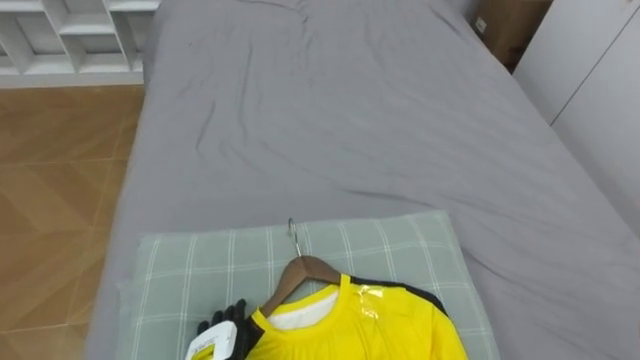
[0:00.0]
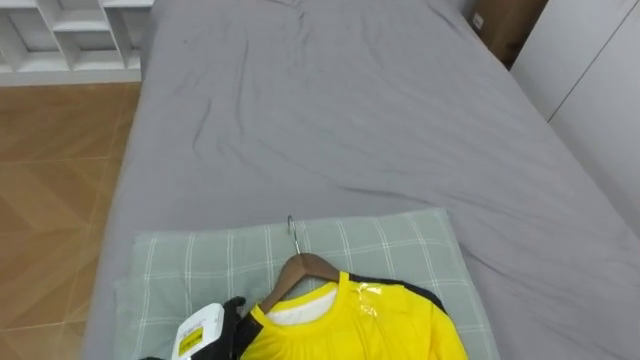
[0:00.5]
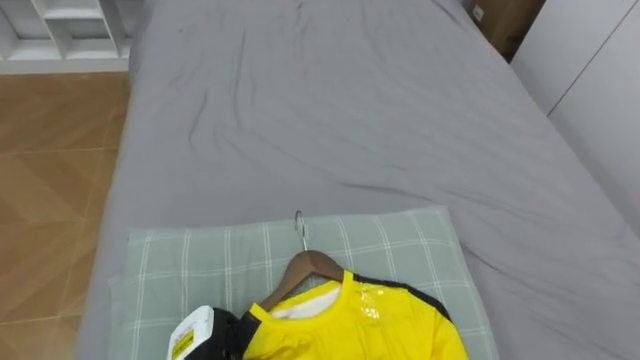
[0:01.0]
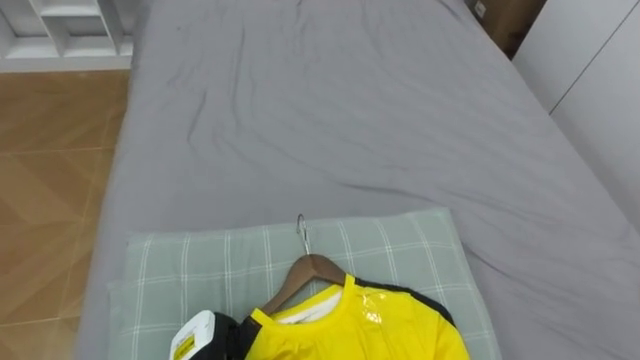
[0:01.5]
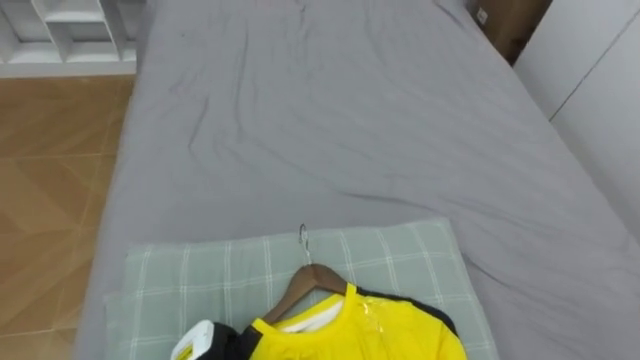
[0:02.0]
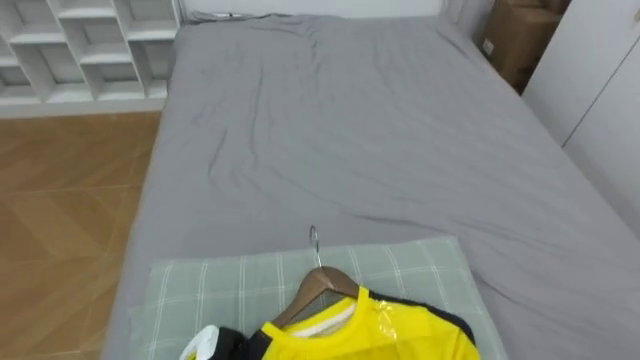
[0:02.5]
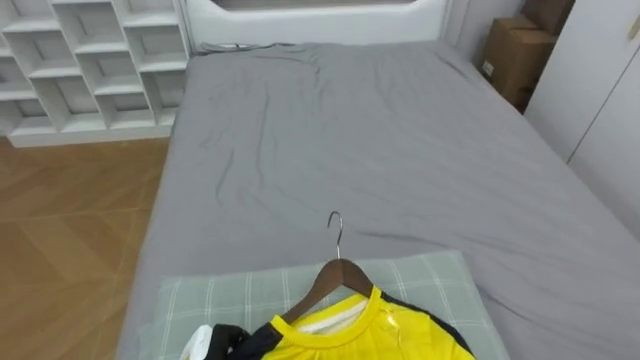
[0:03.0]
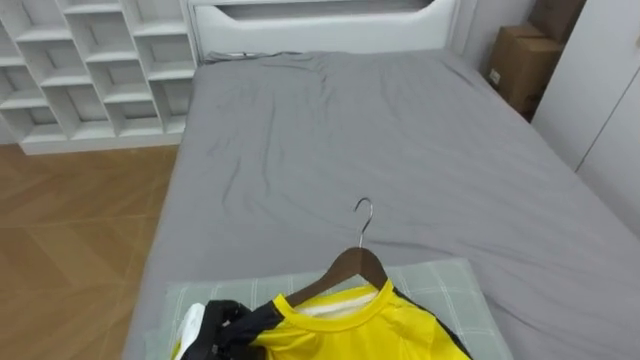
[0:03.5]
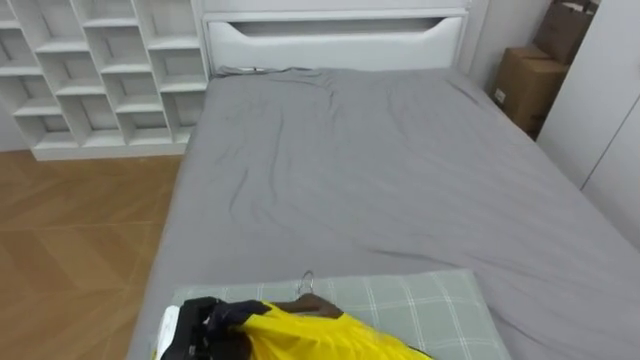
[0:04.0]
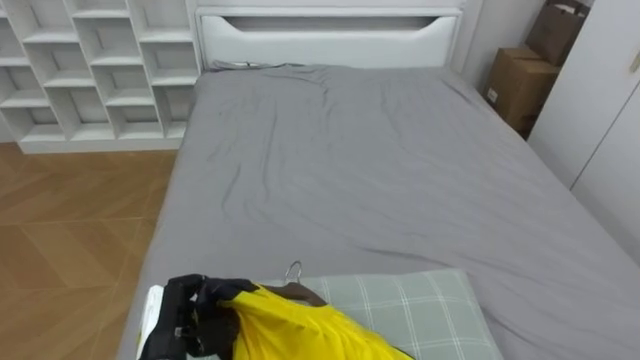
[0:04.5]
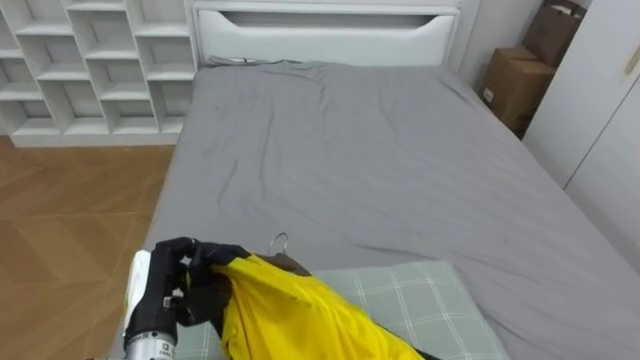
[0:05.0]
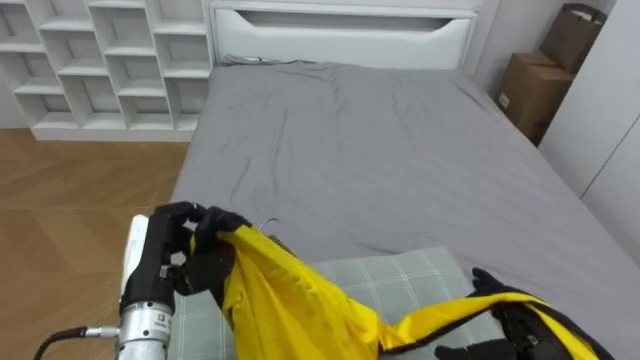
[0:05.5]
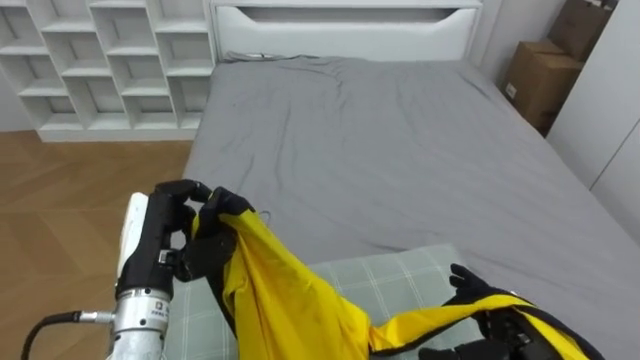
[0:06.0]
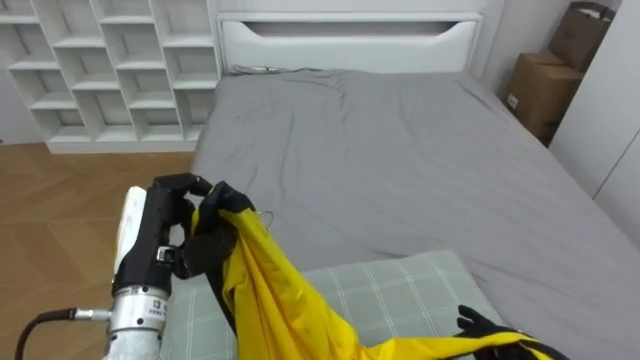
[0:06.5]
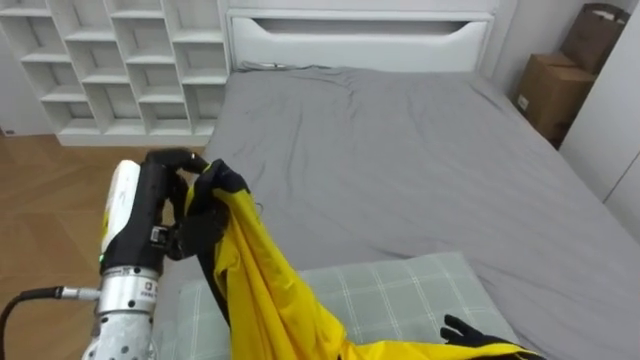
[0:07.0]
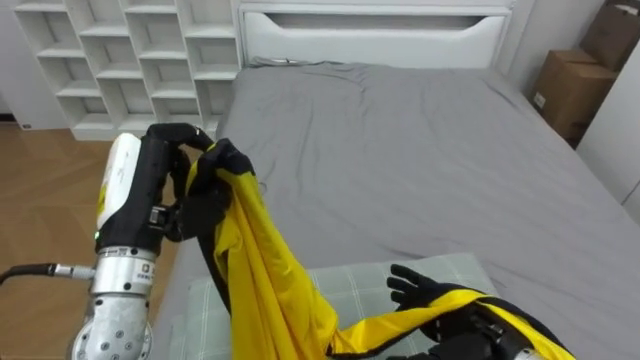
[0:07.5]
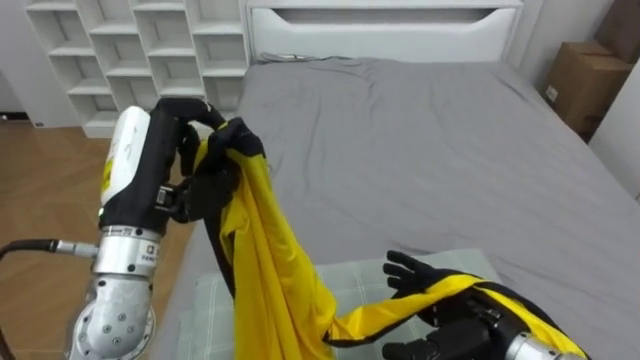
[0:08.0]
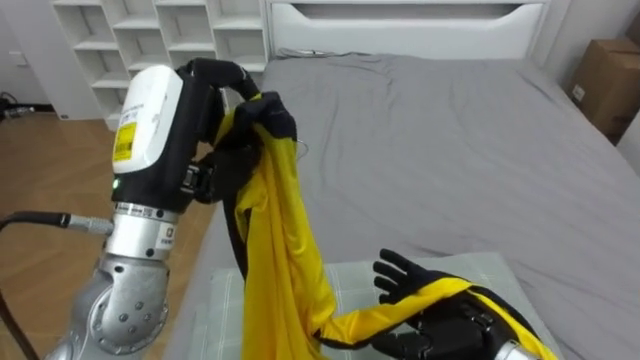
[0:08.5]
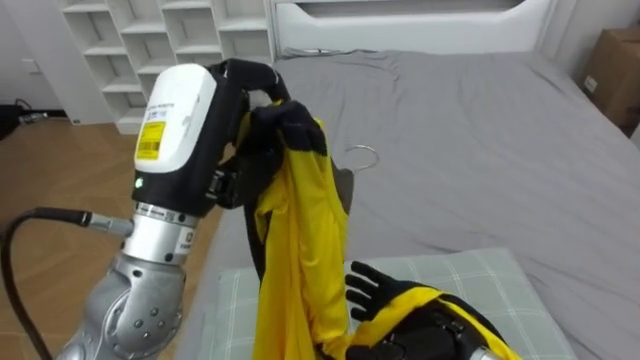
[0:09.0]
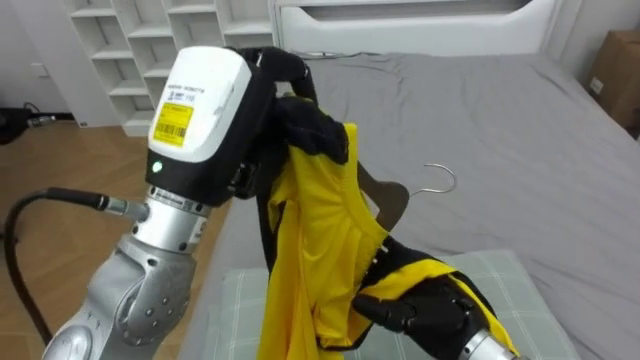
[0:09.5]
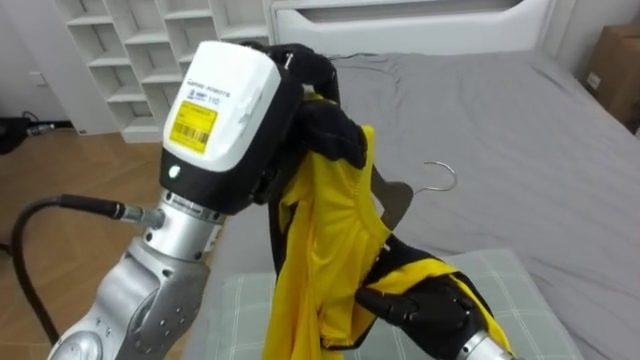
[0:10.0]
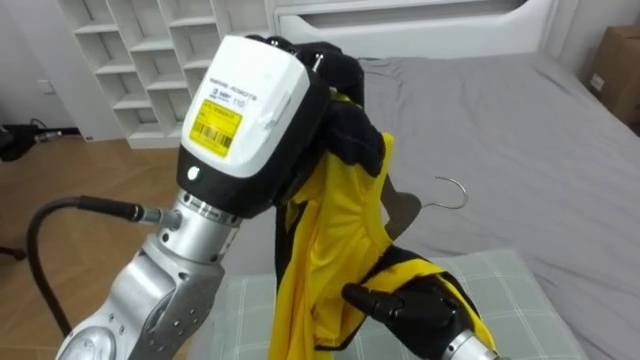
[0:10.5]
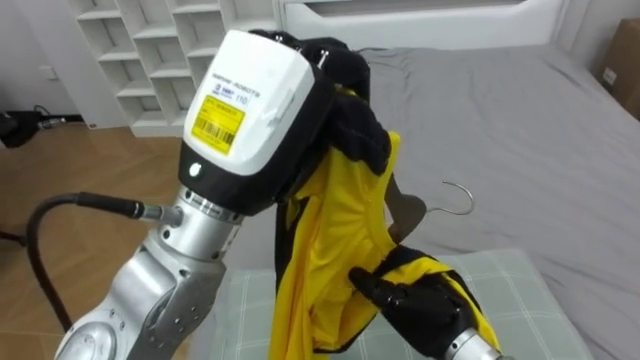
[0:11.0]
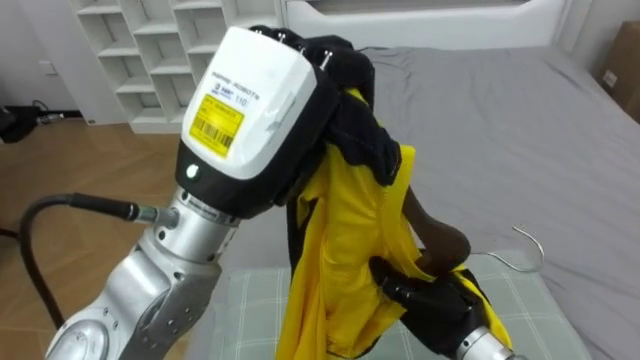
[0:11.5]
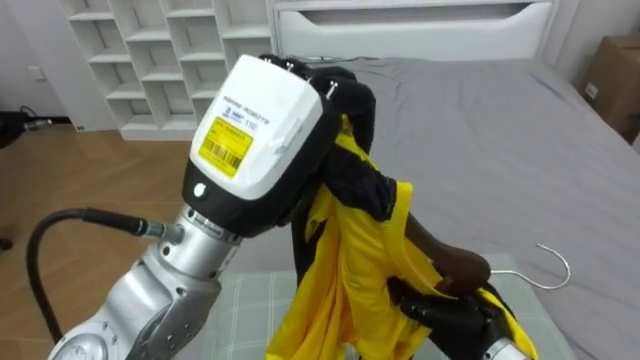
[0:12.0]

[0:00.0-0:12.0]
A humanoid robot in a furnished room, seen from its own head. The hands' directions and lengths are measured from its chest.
Task of the whole recording: Pick up the yellow shirt on the bed and hang it on the clothes rack on the right.
0:04.0 to 0:06.0: The left hand travels upward by about 15 cm.
0:06.0 to 0:08.0: The left hand shifts about 10 cm upward.
0:08.0 to 0:10.0: The left hand travels to the right and upward by some 10 cm, while the right hand shifts roughly 5 cm to the left.
0:10.0 to 0:12.0: The right hand closes its fingers.

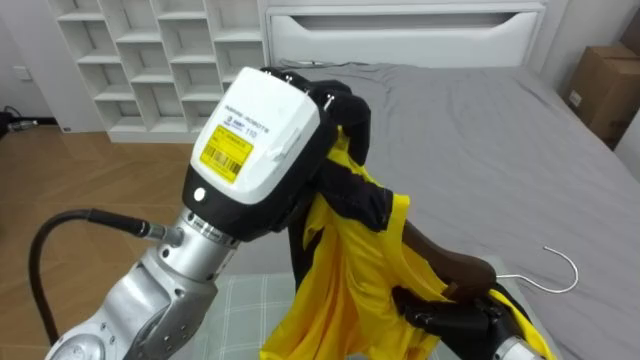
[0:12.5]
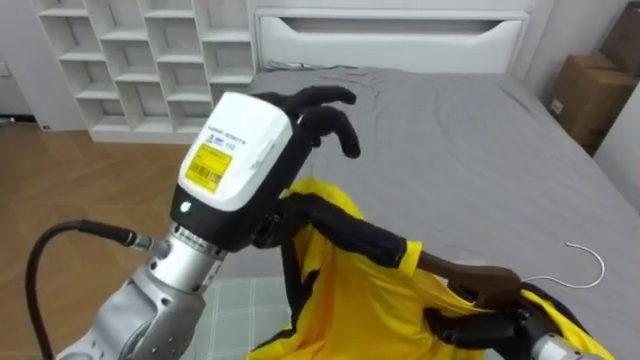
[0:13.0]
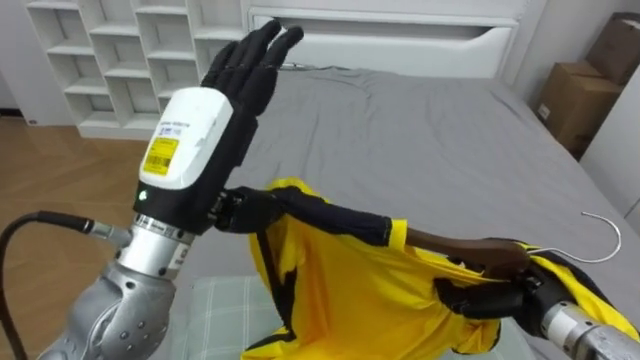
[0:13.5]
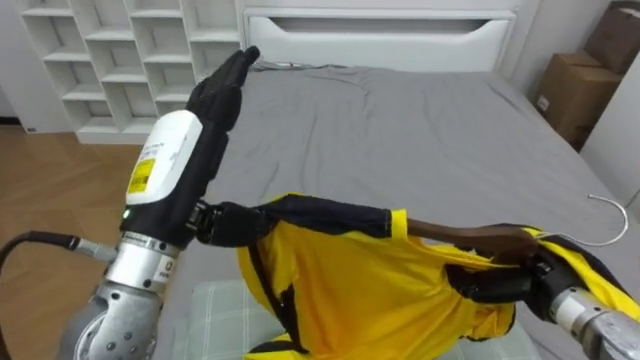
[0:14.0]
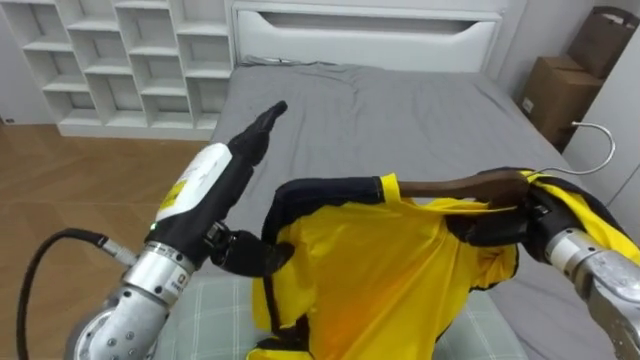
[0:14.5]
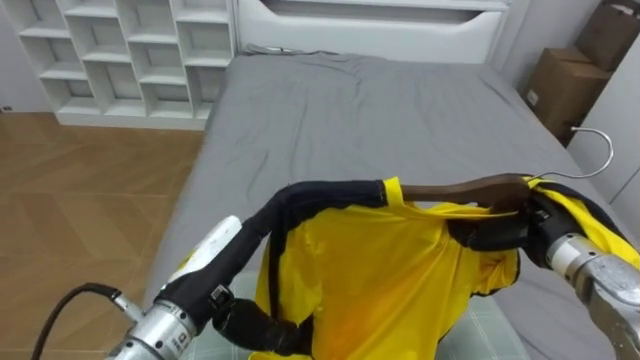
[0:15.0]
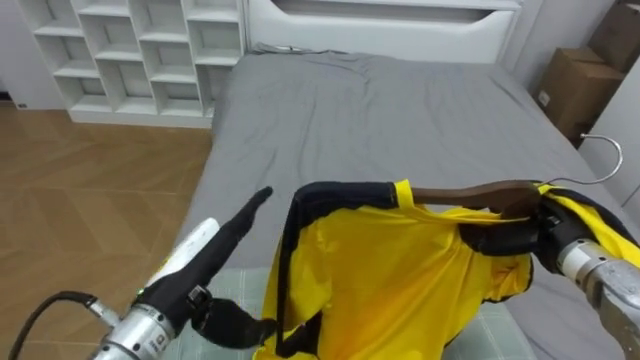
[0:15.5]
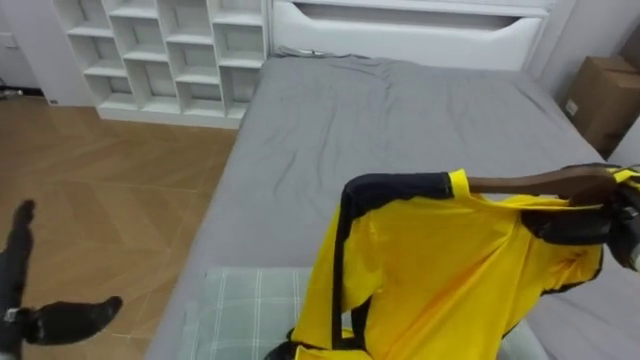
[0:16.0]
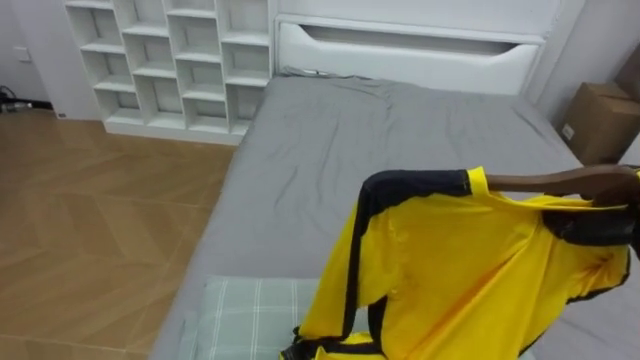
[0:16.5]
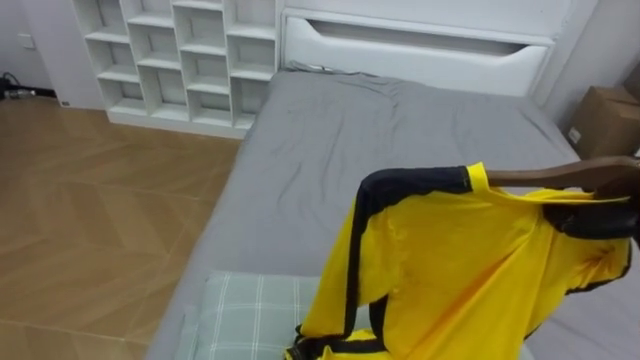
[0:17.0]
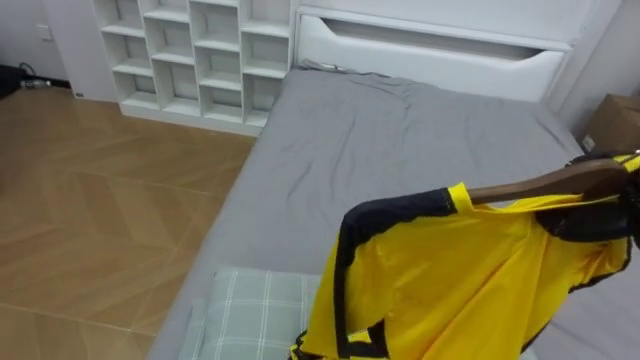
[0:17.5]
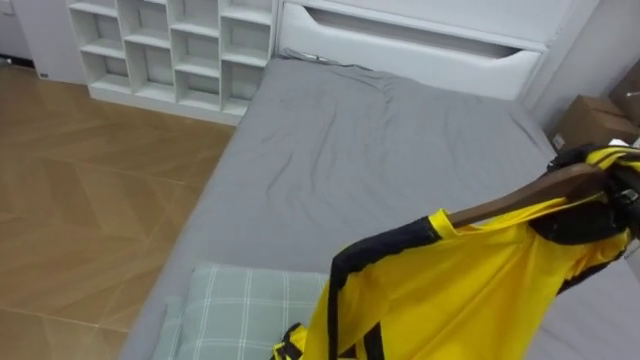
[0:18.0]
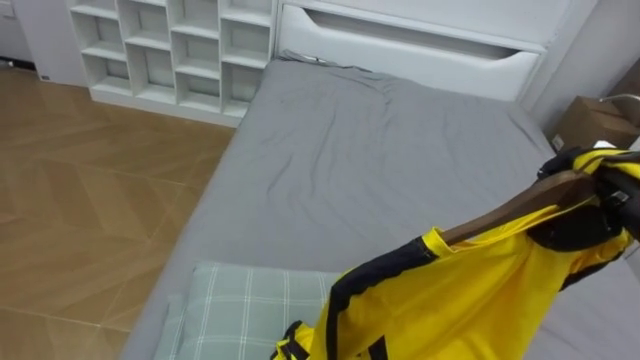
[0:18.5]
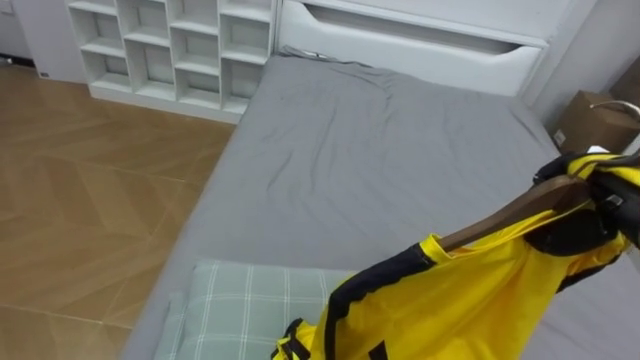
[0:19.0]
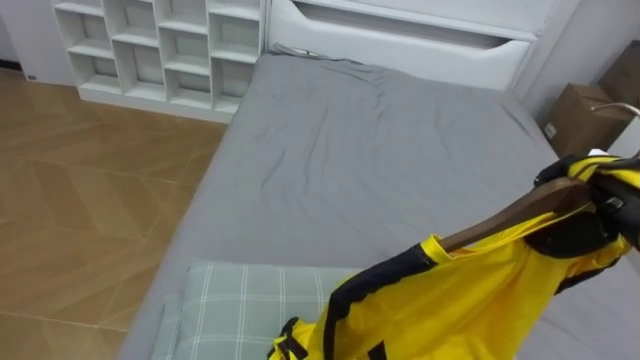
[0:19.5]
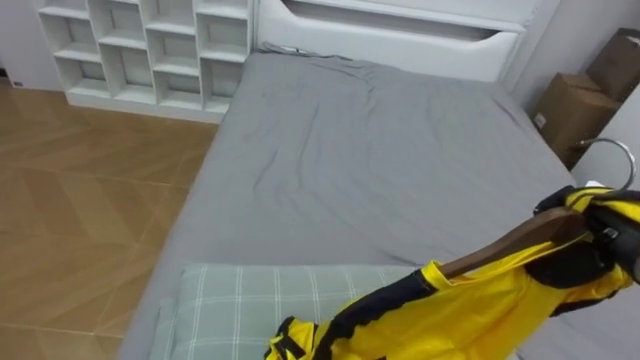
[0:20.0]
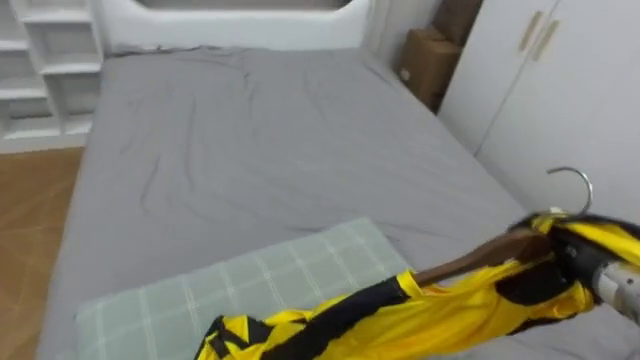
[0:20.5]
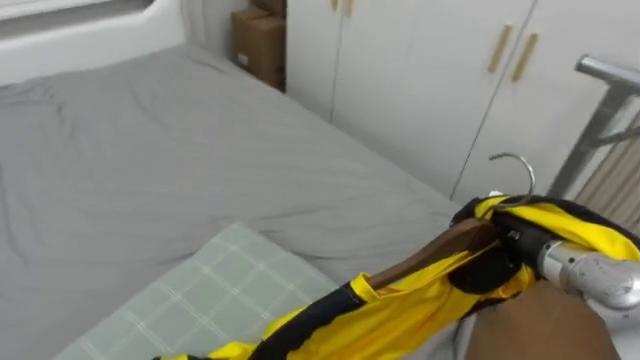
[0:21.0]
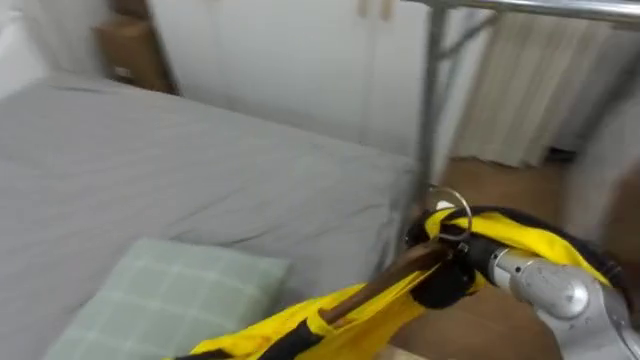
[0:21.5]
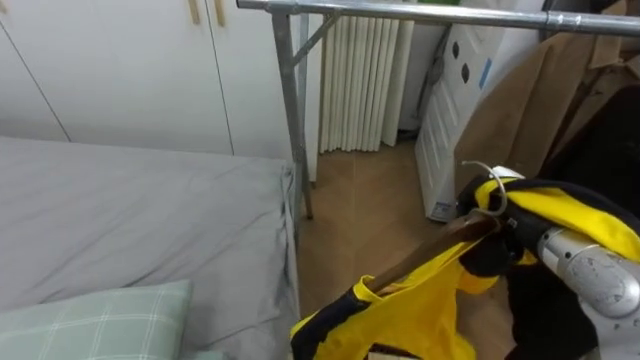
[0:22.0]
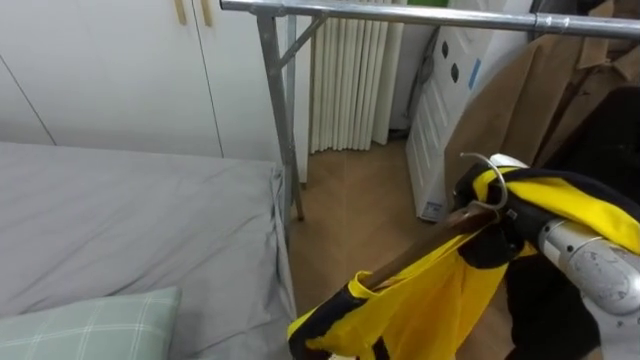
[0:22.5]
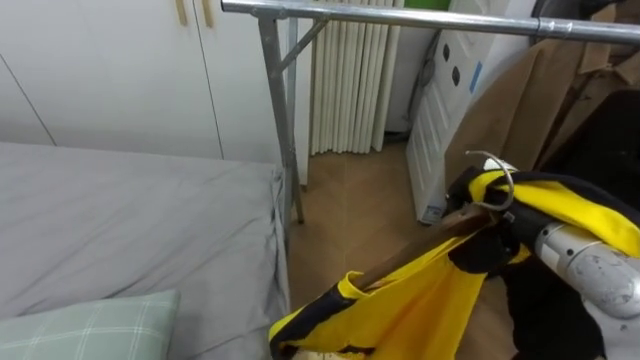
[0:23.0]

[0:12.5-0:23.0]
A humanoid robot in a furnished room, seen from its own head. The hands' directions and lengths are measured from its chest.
Task of the whole recording: Pick up the yellow shirt on the bed and hang it on the clothes rack on the right.
0:12.5 to 0:14.5: The left hand travels downward and to the left by roughly 10 cm, and opens its fingers. Meanwhile the right hand is displaced upward, forward and to the right by approximately 15 cm.
0:14.5 to 0:16.5: The right hand moves to the right, some 10 cm.
0:16.5 to 0:19.0: The right hand shifts some 5 cm to the left.
0:19.0 to 0:21.0: The robot rotates about 55 degrees to its right. The right hand goes about 10 cm to the left and downward.
0:21.0 to 0:23.0: The robot turns to its right by about 40 degrees. The right hand is displaced upward by roughly 5 cm.
